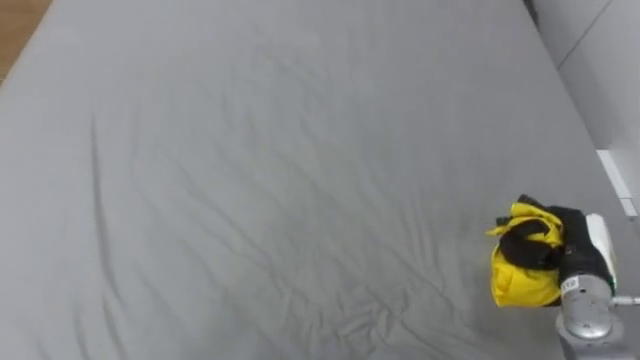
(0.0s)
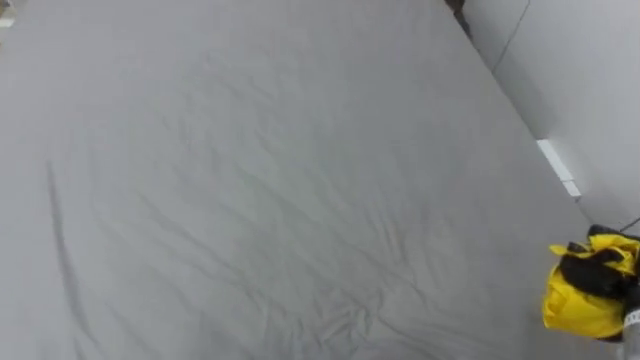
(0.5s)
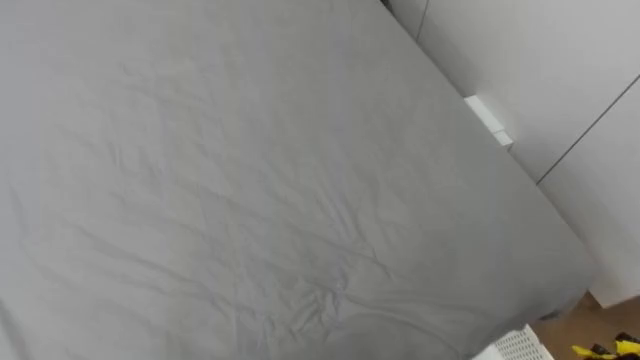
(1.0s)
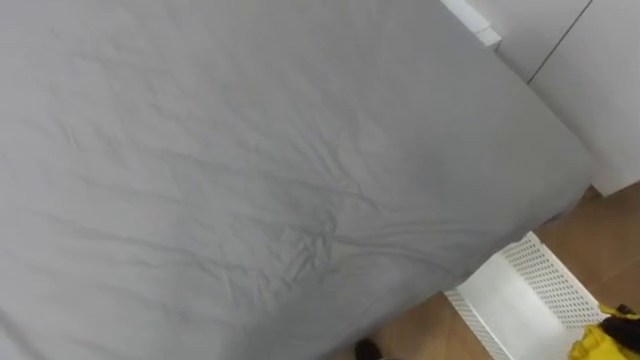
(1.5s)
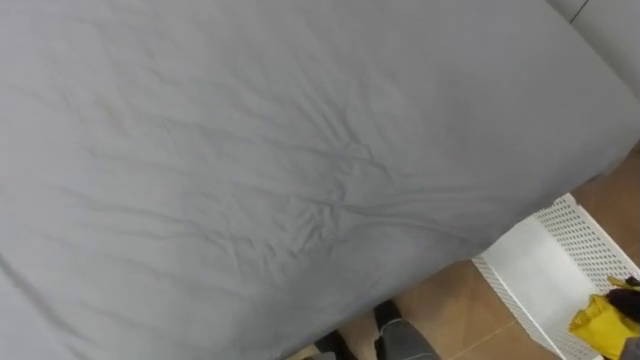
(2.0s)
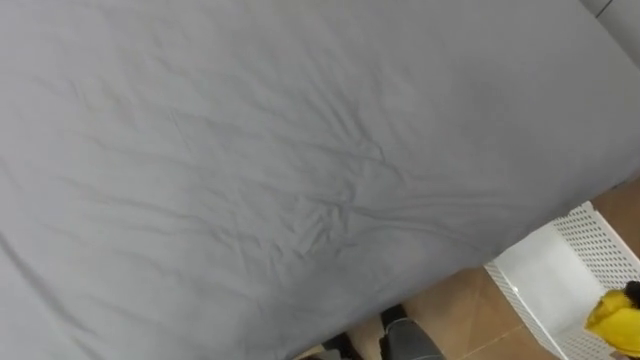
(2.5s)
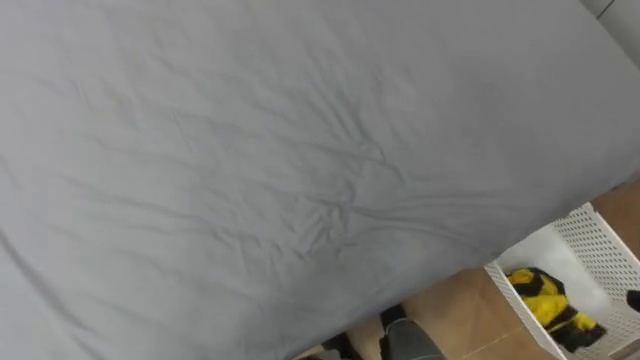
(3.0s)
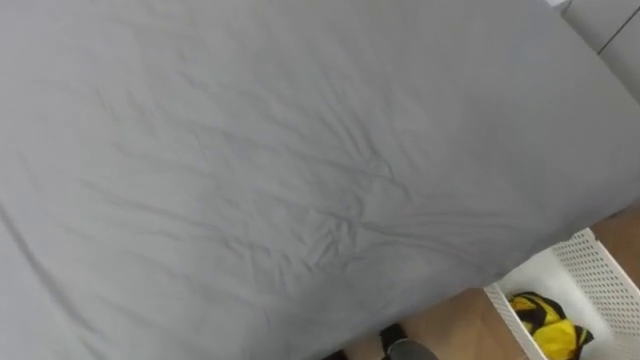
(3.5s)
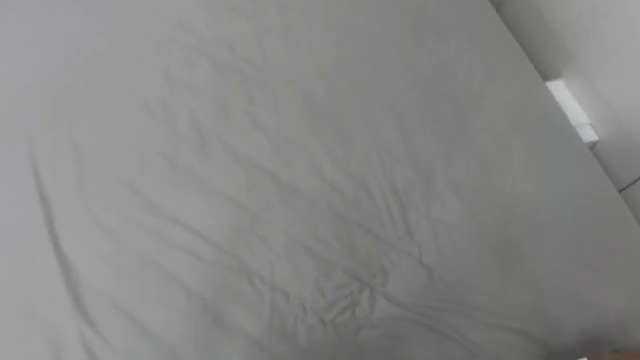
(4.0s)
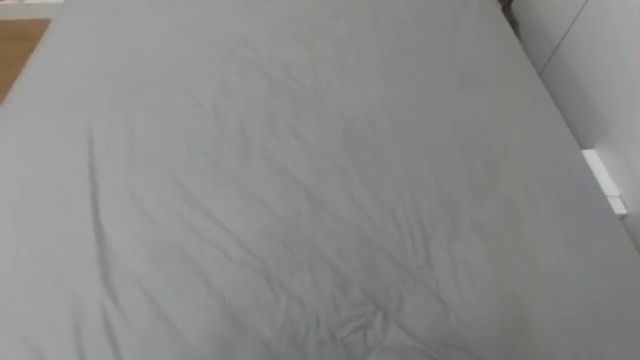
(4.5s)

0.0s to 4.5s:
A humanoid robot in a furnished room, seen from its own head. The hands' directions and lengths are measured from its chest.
Task of the whole recording: Pick up the yellow clothes on the bed and place them into the white basket on the right.
0.0s to 2.0s: The robot's body swings approximately 20 degrees to its right.
2.0s to 4.5s: The robot turns to its left by about 20 degrees.

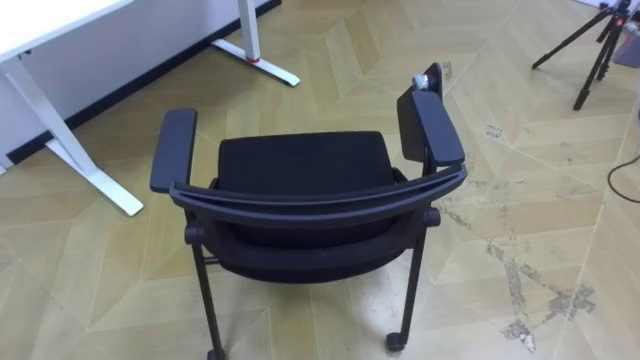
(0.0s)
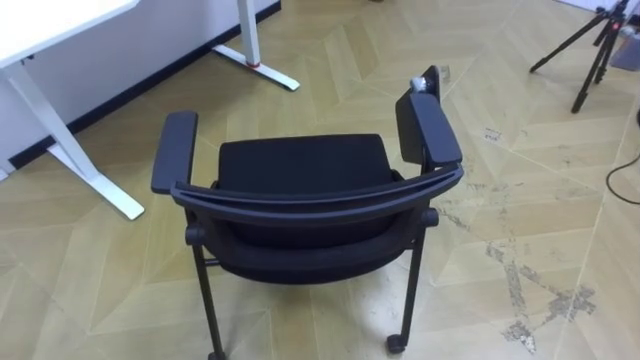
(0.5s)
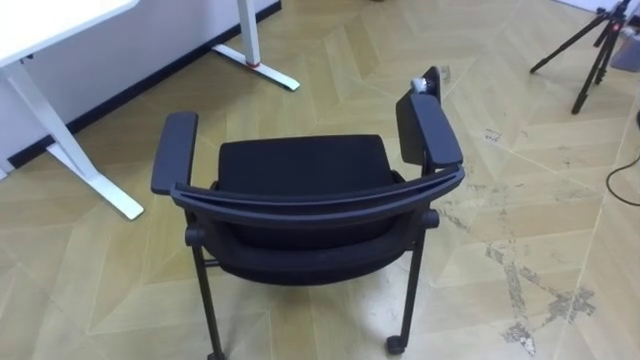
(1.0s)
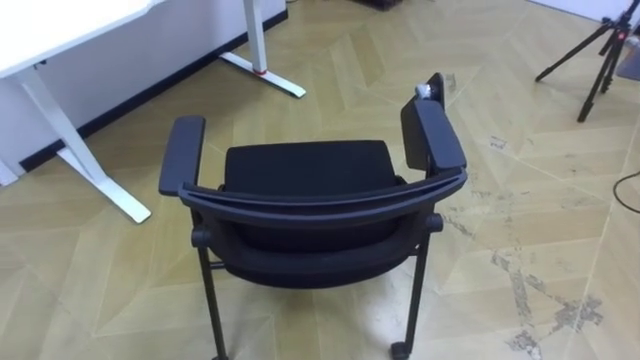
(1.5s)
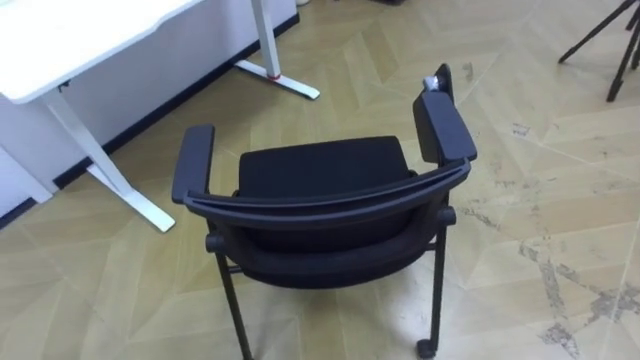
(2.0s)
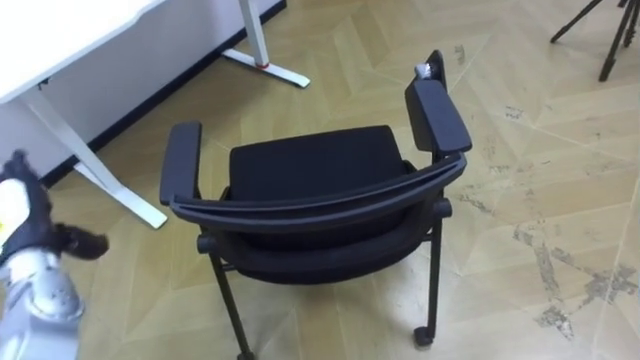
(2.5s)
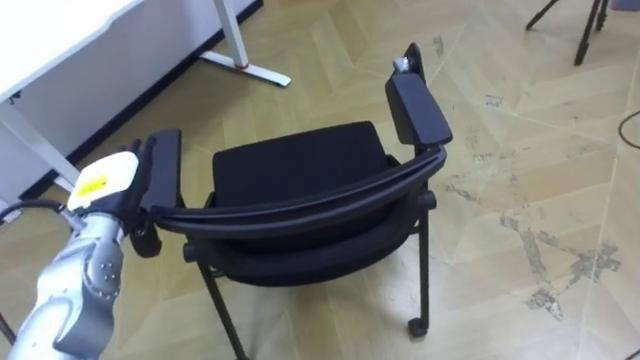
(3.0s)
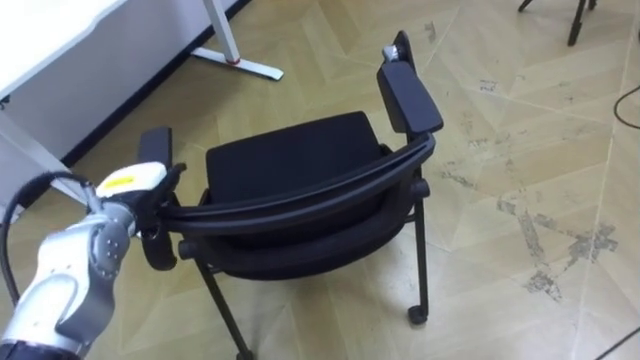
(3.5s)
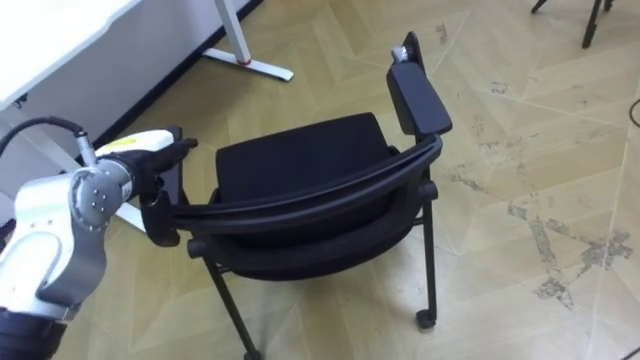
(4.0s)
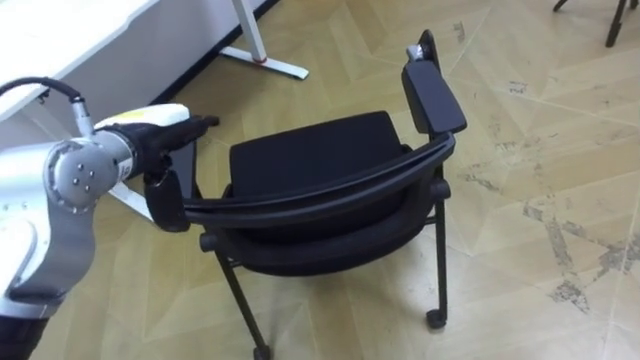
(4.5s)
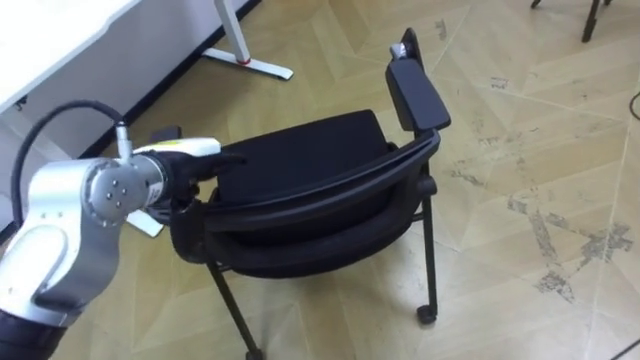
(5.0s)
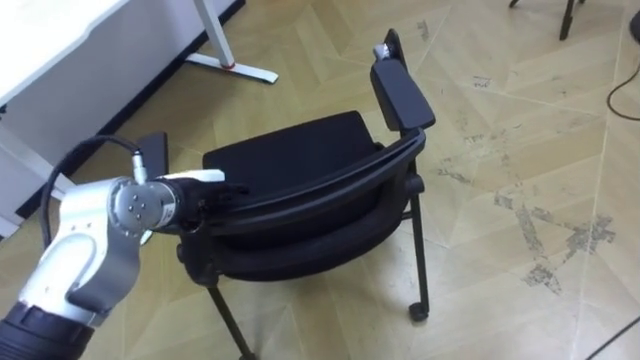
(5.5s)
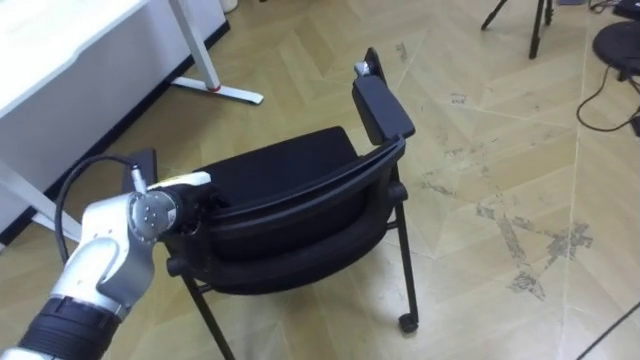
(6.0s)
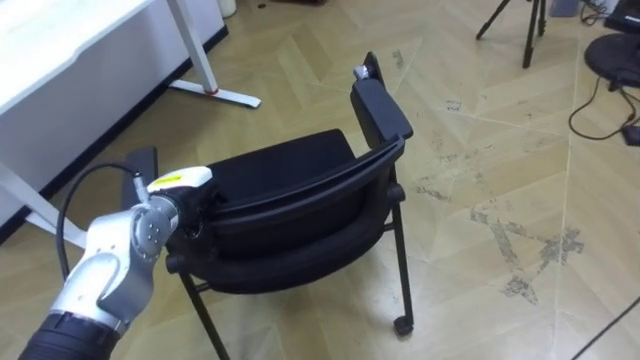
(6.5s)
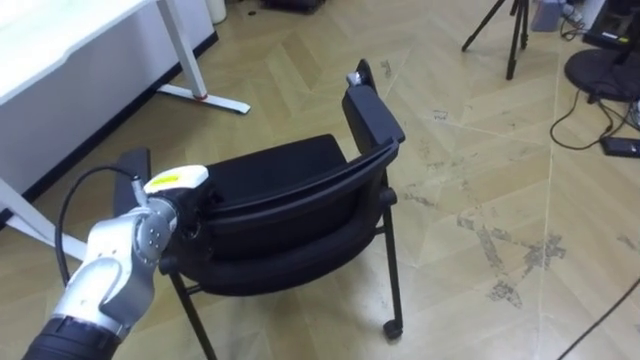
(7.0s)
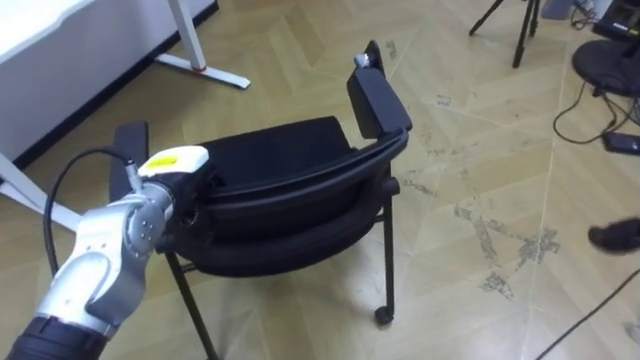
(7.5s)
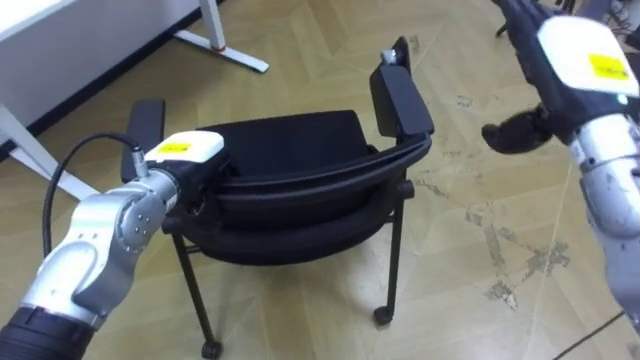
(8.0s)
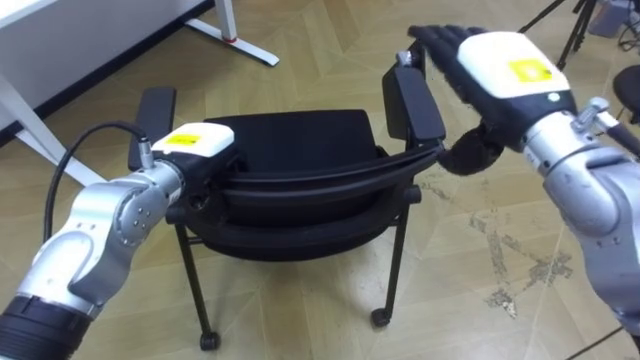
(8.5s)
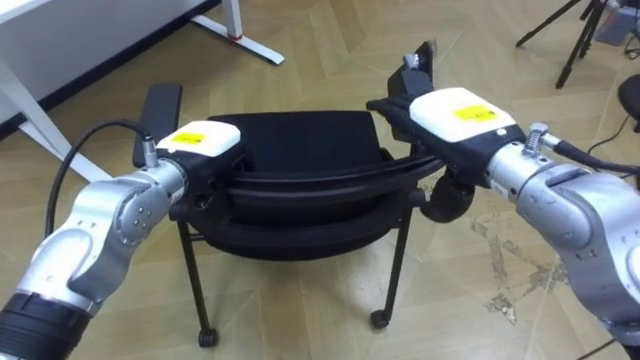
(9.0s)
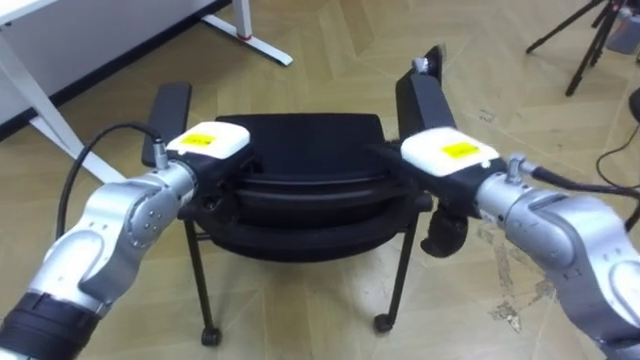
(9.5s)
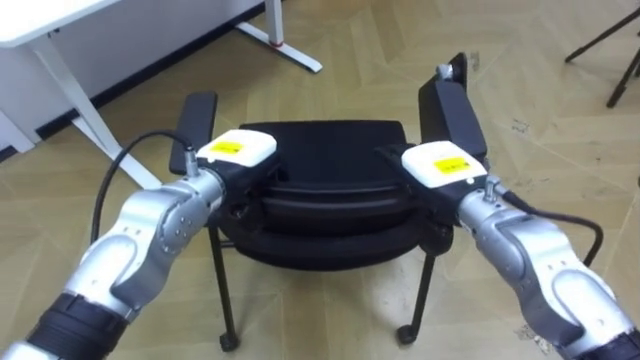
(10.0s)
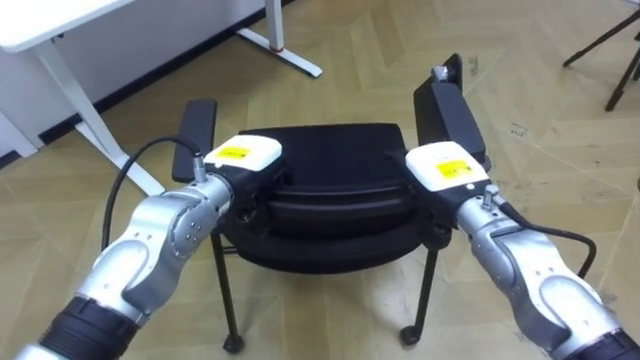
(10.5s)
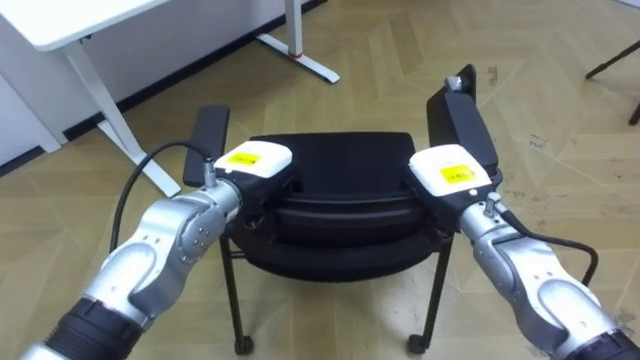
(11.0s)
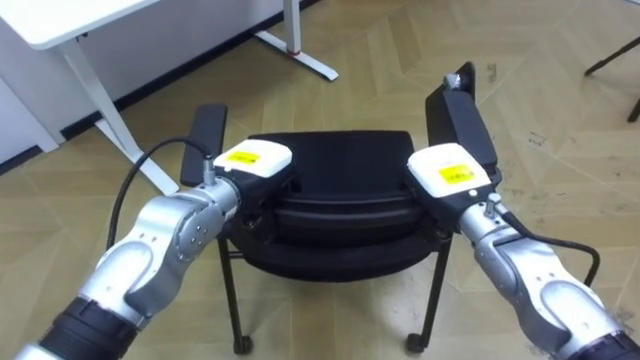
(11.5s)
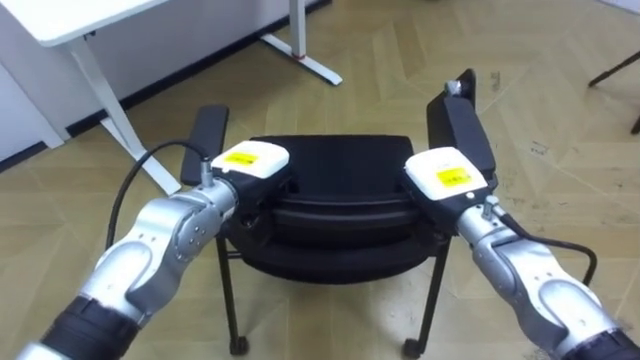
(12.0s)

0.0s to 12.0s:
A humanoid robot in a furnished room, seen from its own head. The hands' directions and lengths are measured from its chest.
Task of the whole recording: Push the chair under the table.
4.0s to 6.0s: The left hand goes about 5 cm downward, and closes.
6.0s to 8.0s: The left hand travels upward by roughly 5 cm.
8.0s to 10.0s: The right hand heads downward and to the left, covering some 15 cm, while the left hand is displaced to the right by approximately 5 cm.
10.0s to 12.0s: The right hand closes up.

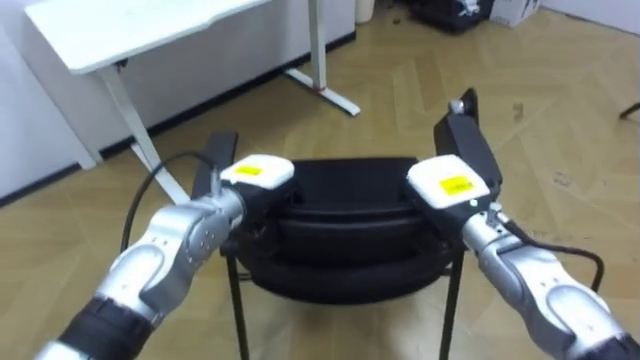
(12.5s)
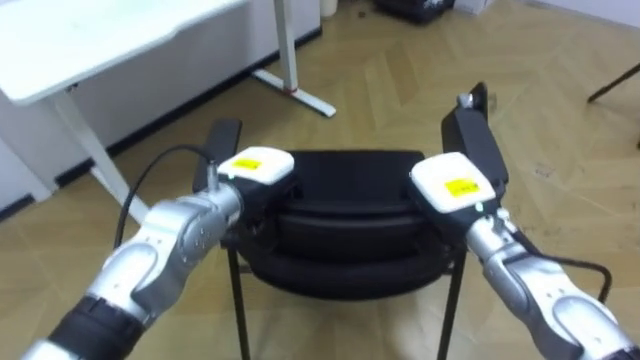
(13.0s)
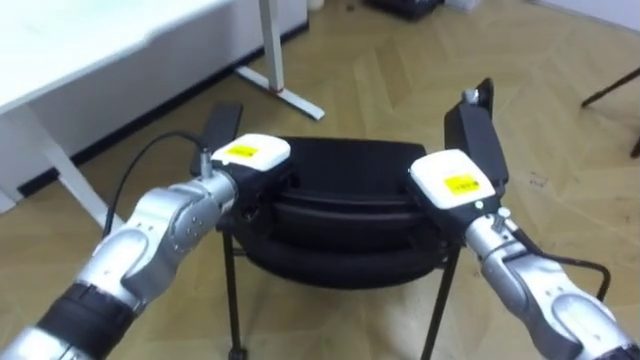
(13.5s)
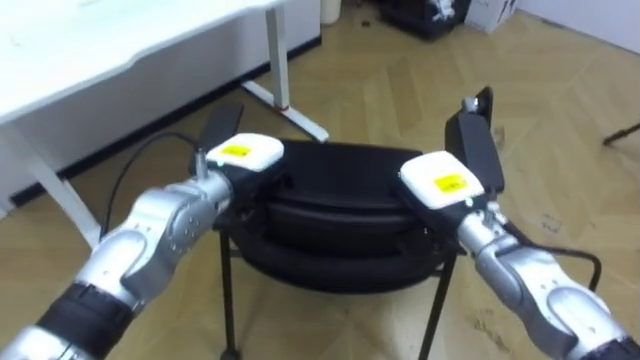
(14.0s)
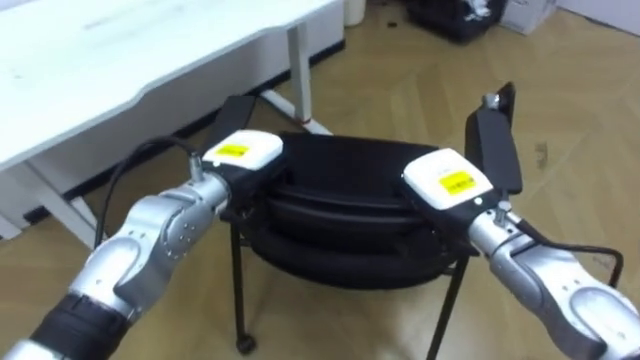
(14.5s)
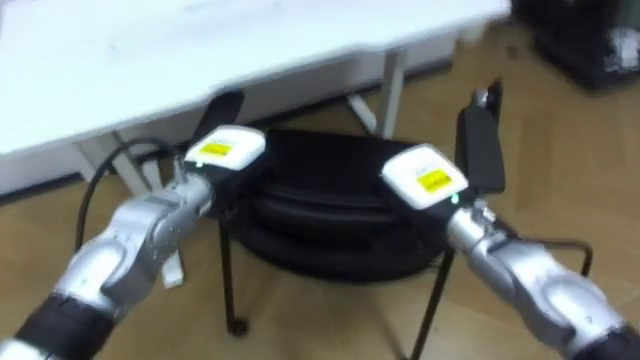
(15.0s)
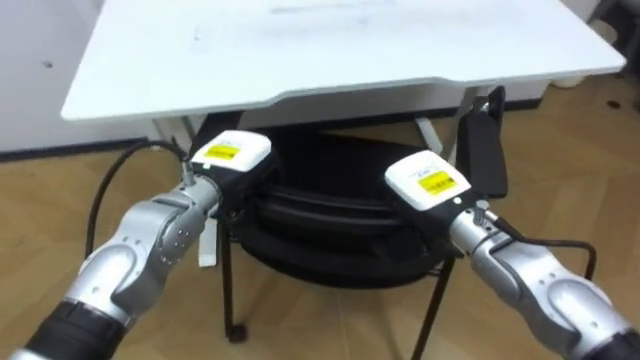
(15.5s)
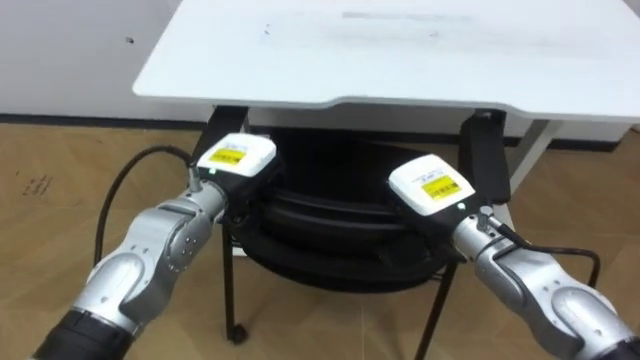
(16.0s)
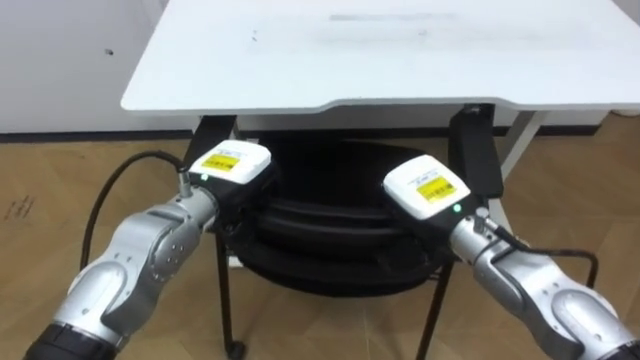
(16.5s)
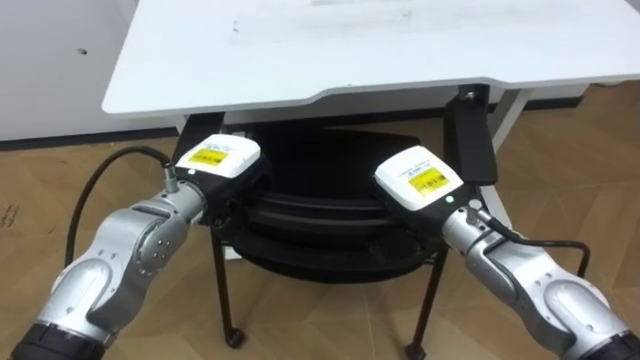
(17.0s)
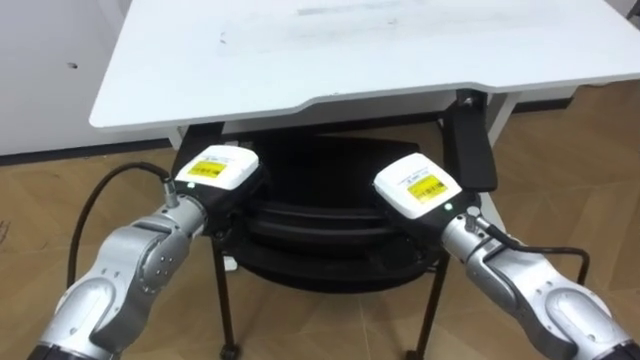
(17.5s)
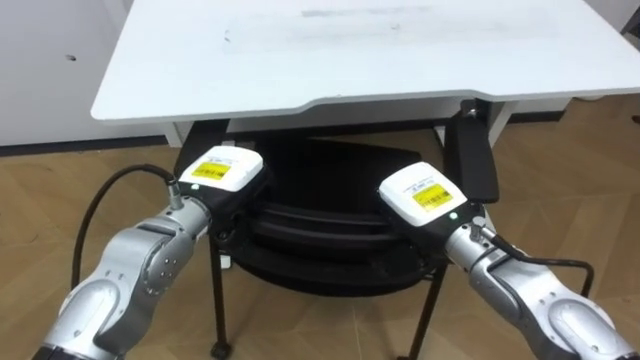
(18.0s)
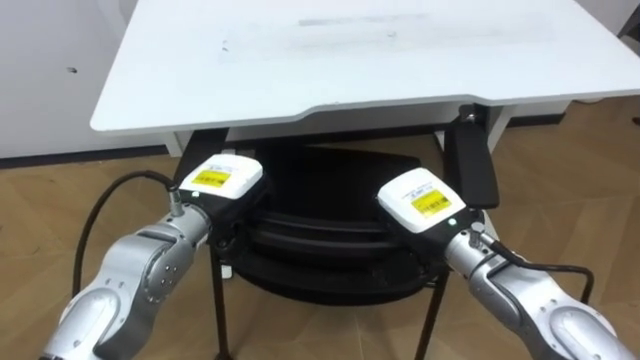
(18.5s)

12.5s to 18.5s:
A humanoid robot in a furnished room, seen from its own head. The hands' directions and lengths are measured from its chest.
Task of the whole recording: Push the chair under the table.
14.5s to 16.5s: The robot faces about 35 degrees further to its left.
